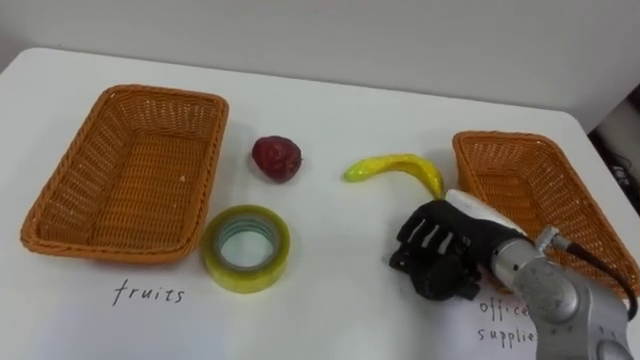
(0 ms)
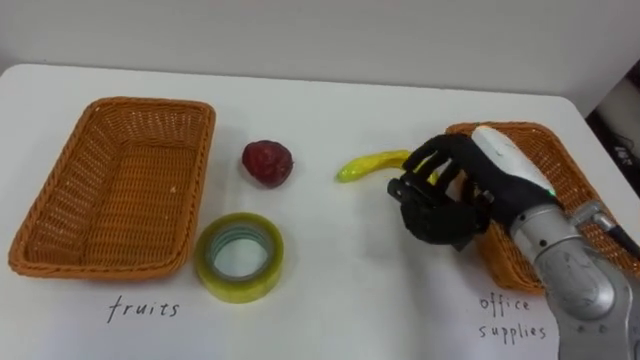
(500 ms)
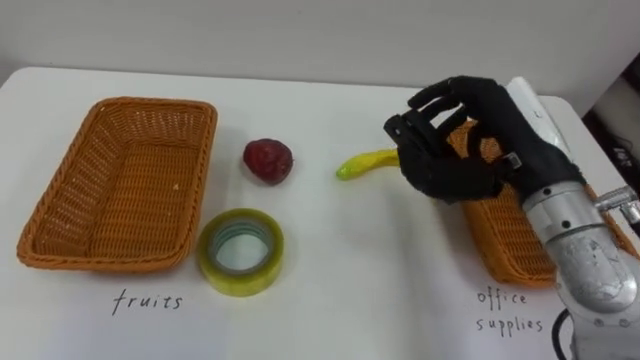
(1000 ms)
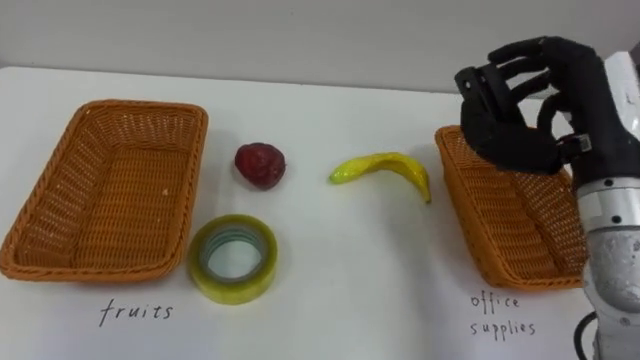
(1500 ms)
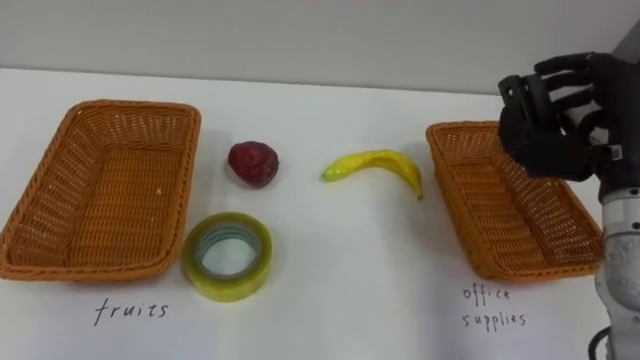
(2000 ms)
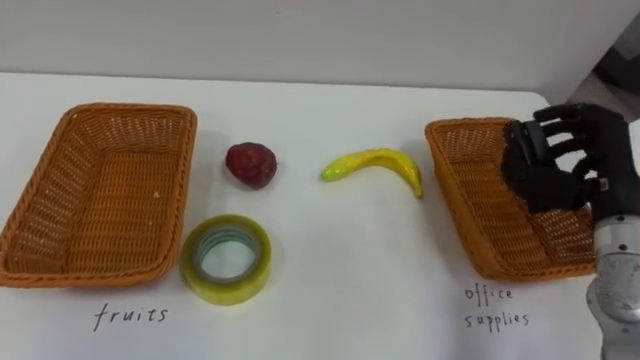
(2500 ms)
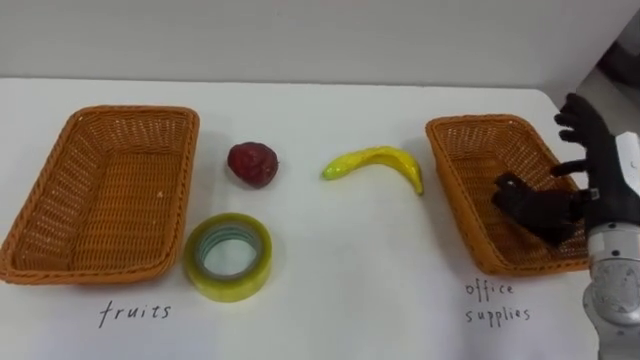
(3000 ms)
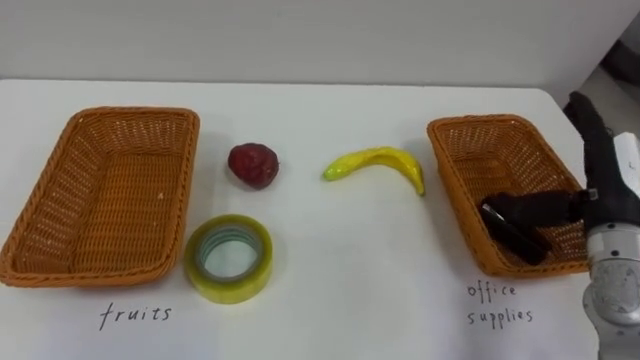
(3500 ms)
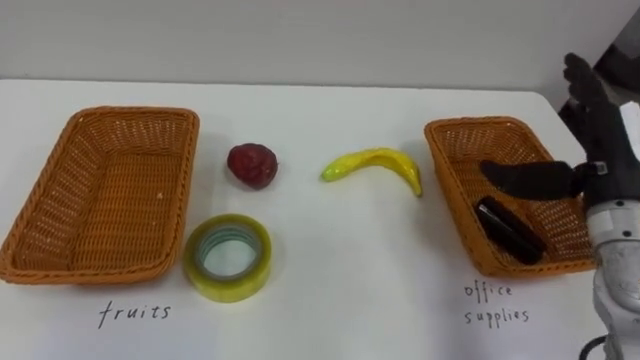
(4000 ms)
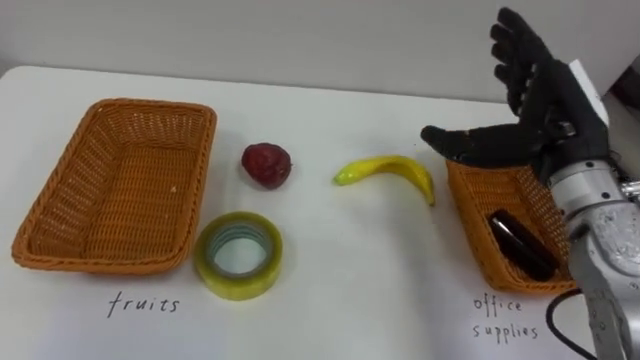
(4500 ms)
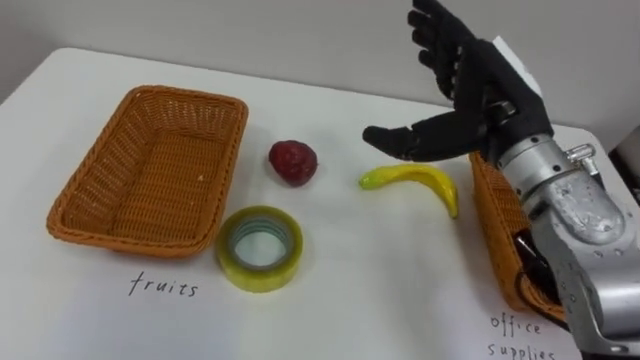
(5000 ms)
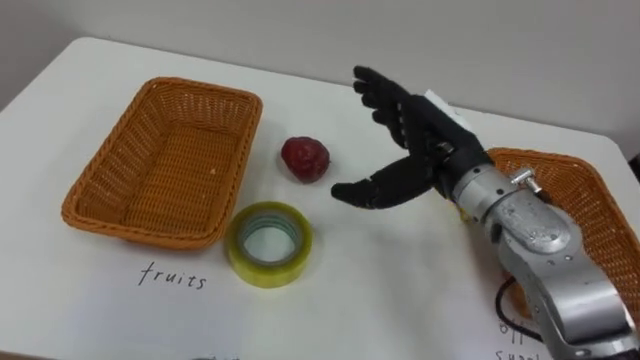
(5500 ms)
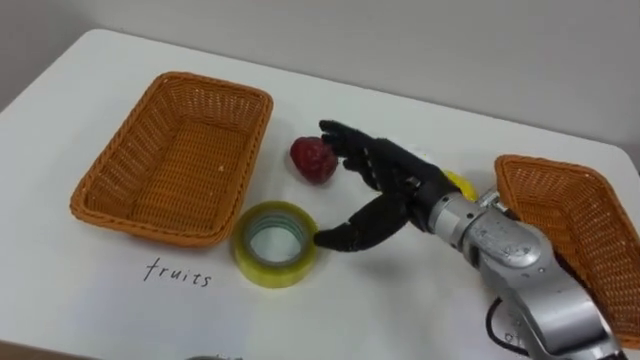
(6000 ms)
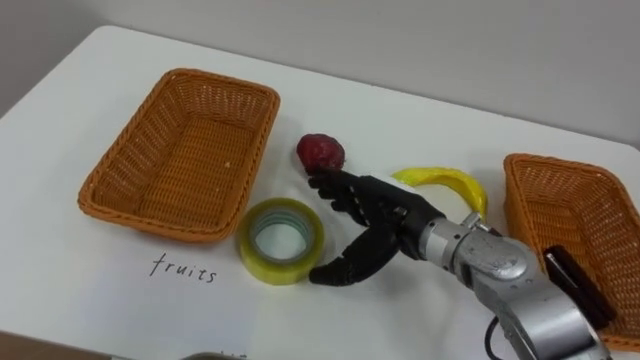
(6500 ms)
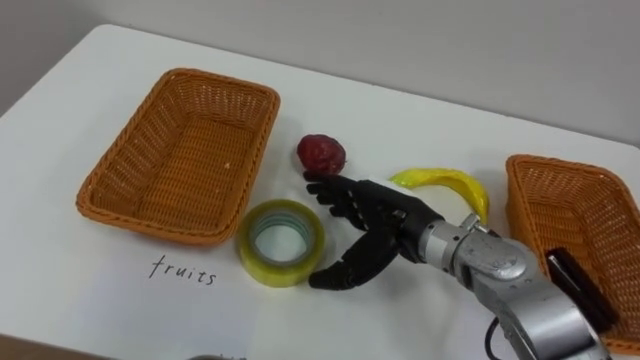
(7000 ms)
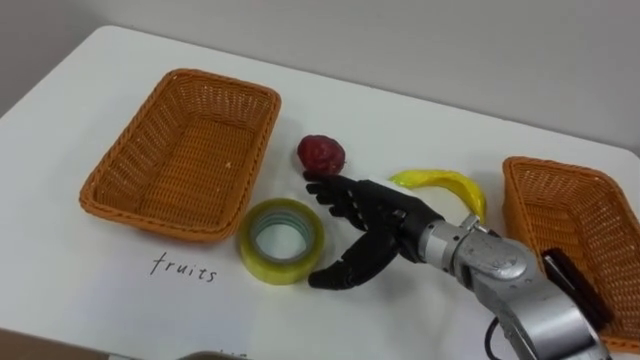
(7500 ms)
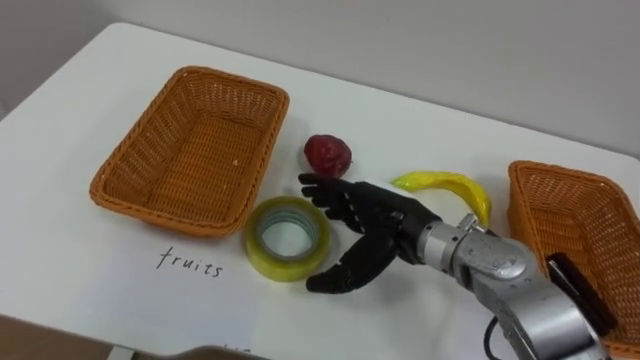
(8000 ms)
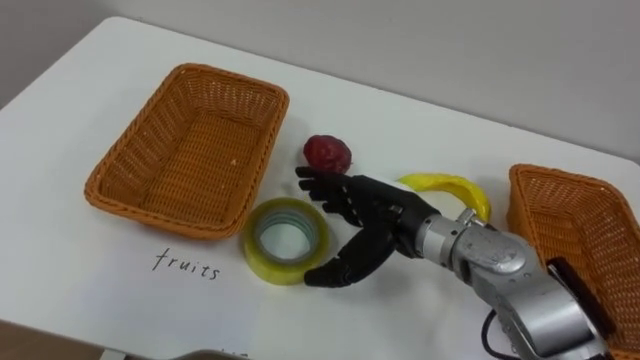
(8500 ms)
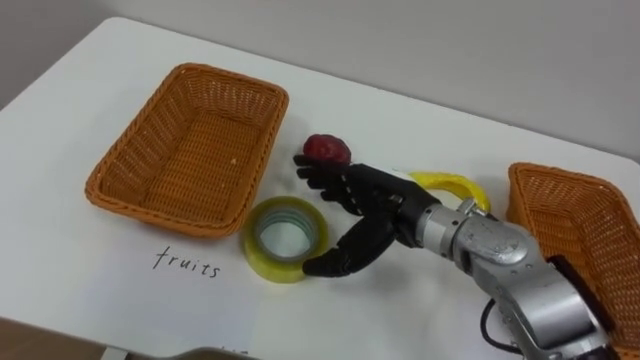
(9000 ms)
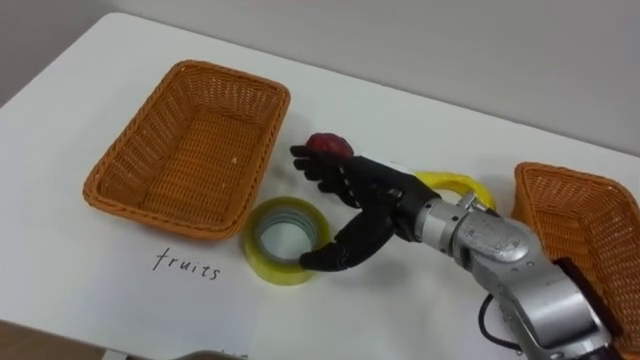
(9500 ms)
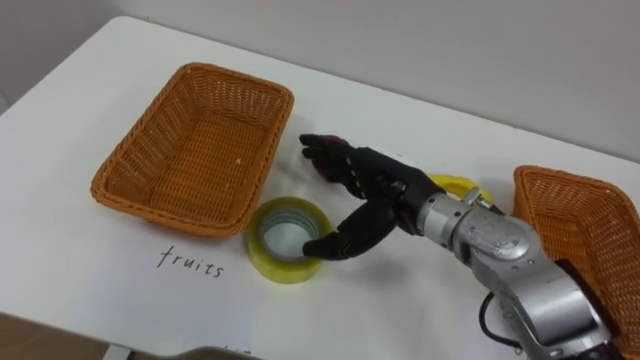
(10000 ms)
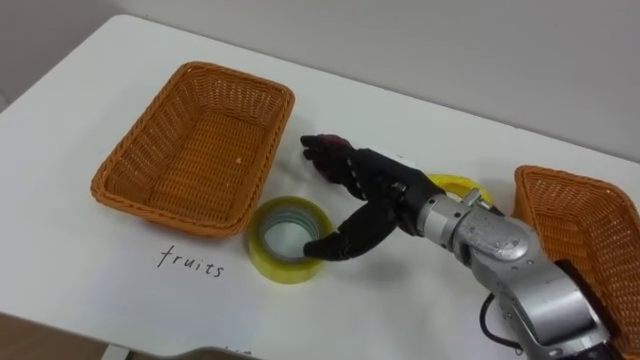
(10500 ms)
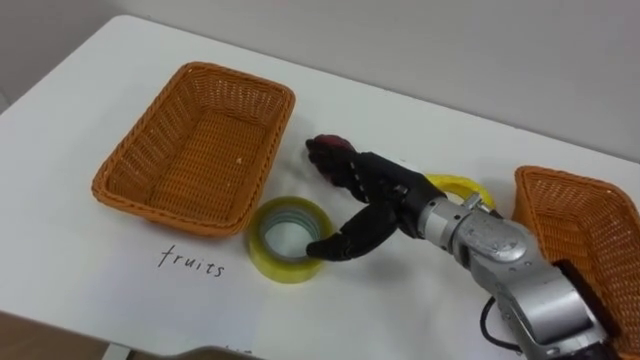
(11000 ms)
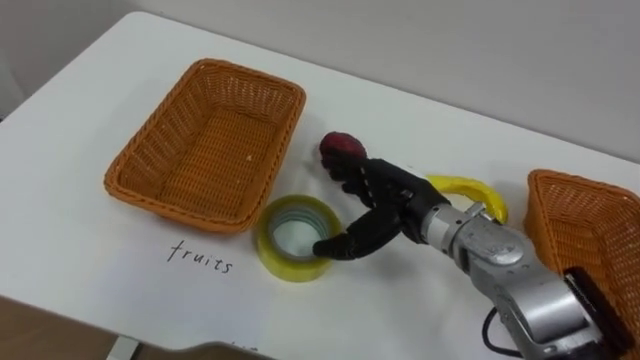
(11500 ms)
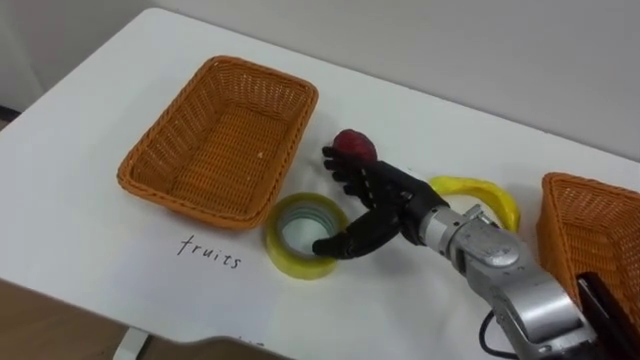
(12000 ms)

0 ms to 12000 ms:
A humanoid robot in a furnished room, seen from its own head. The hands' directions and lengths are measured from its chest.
Task of the whole recording: Separate the items on the table and place them into the two baskets.
0 ms to 2000 ms: The right hand goes some 15 cm upward and to the right.
2000 ms to 4000 ms: The right hand opens.
4000 ms to 6000 ms: The right hand goes about 20 cm to the left.
6000 ms to 8000 ms: The right hand shifts by roughly 5 cm.

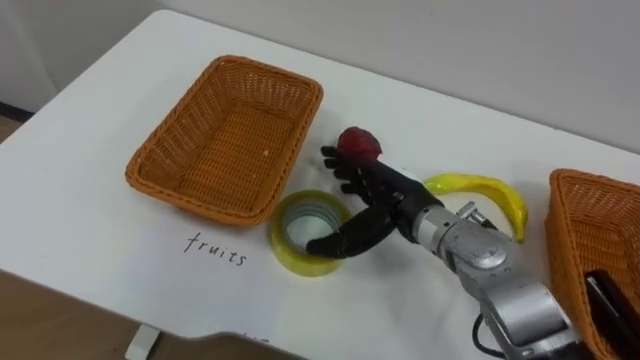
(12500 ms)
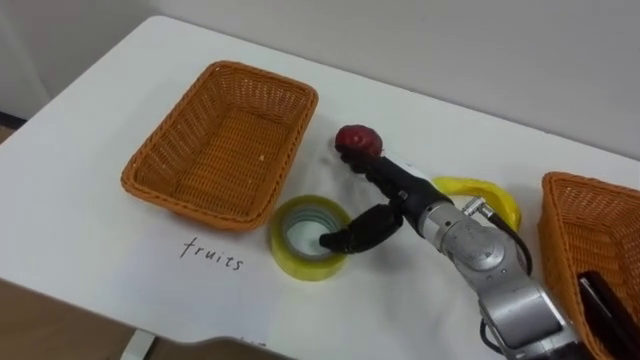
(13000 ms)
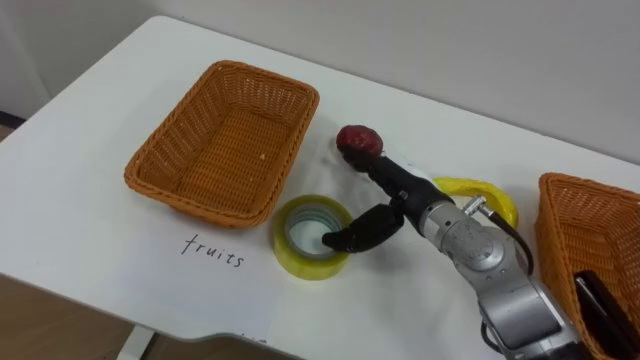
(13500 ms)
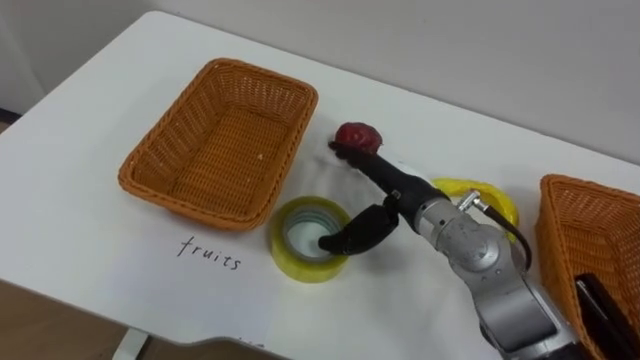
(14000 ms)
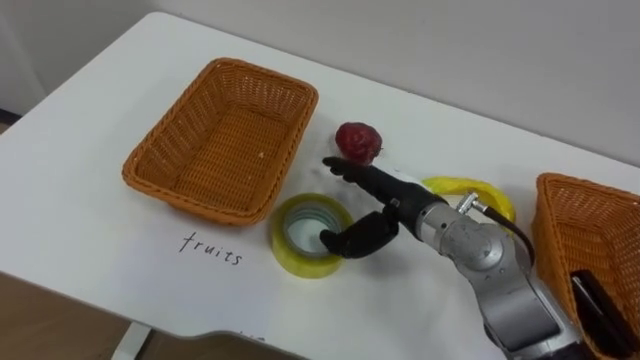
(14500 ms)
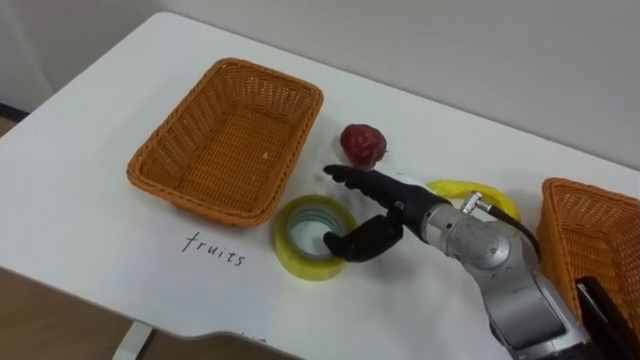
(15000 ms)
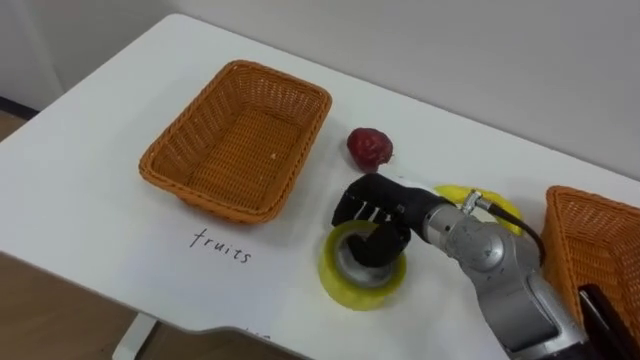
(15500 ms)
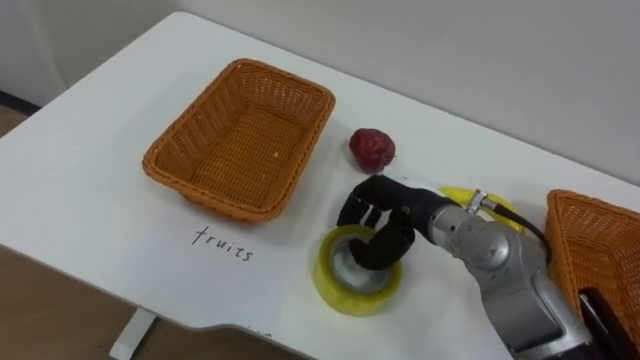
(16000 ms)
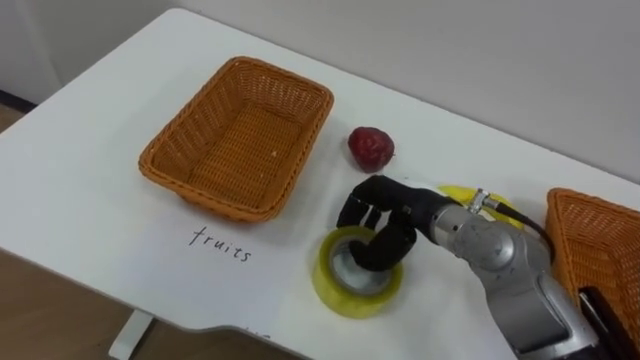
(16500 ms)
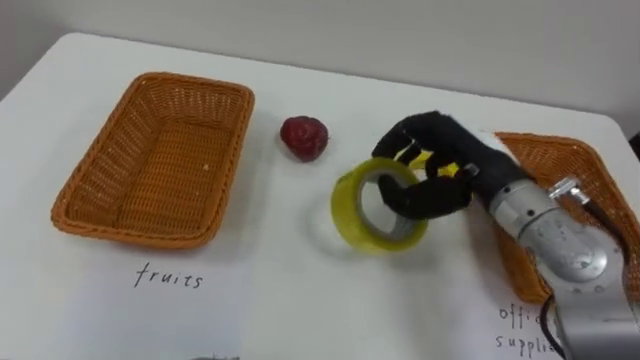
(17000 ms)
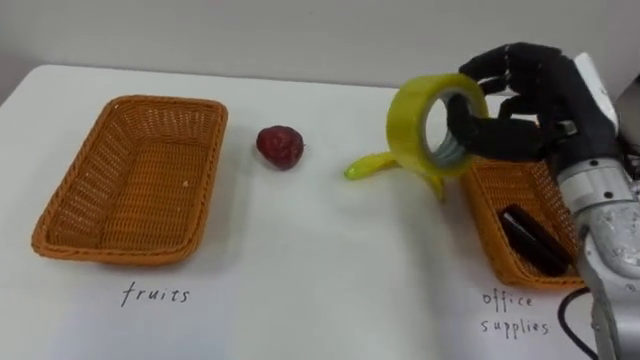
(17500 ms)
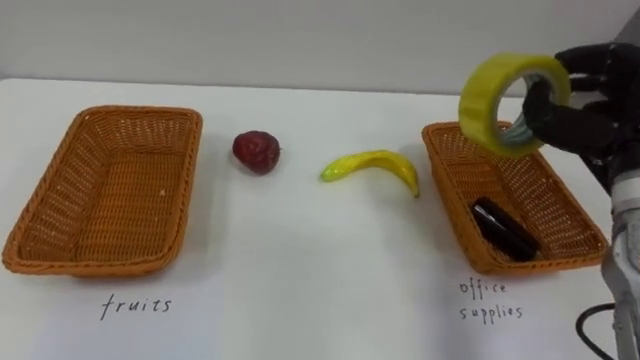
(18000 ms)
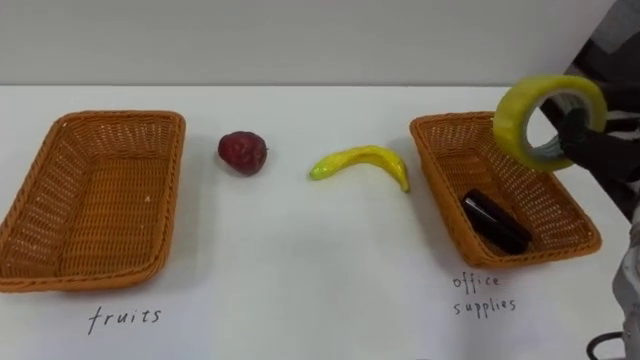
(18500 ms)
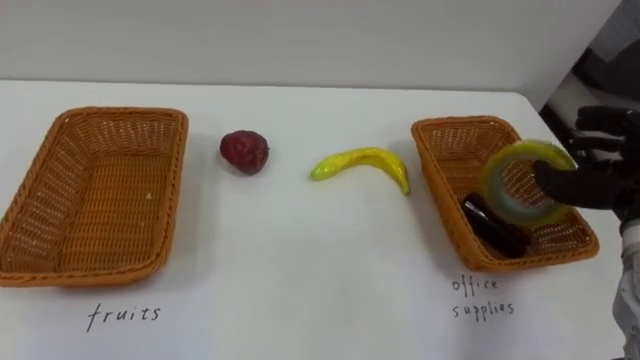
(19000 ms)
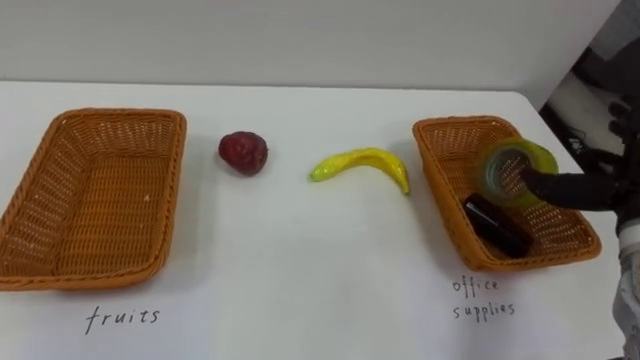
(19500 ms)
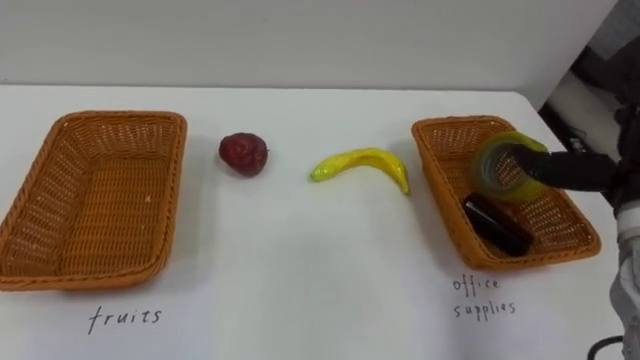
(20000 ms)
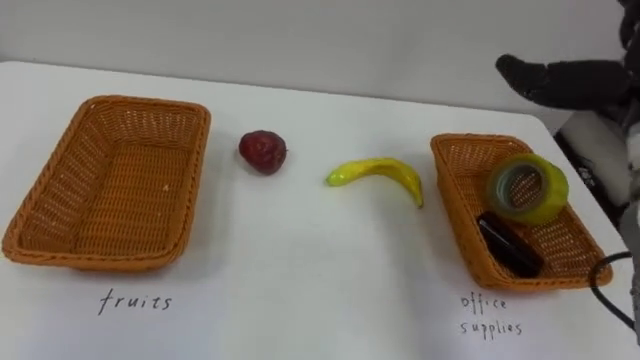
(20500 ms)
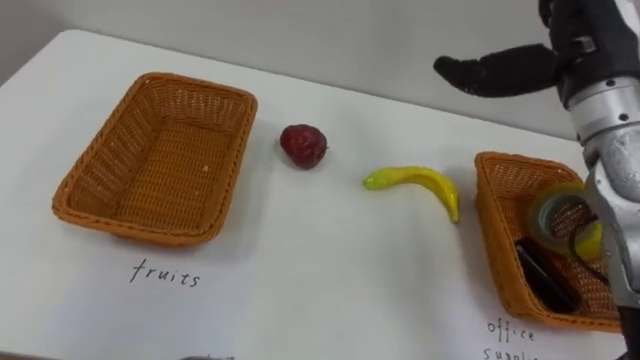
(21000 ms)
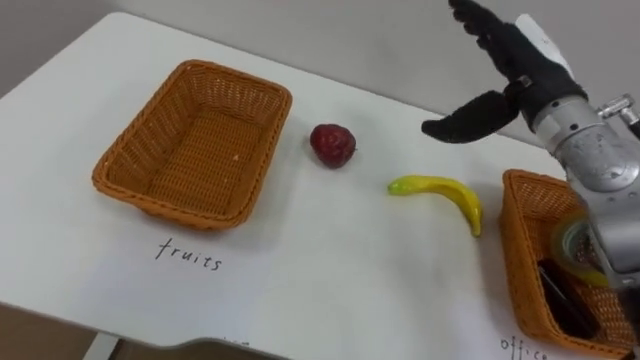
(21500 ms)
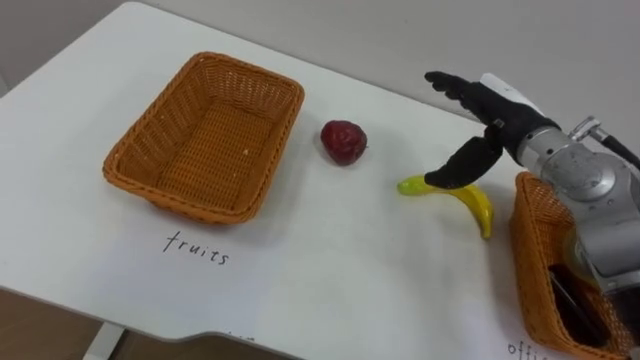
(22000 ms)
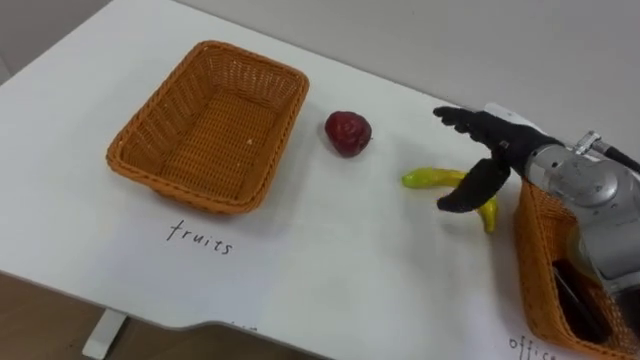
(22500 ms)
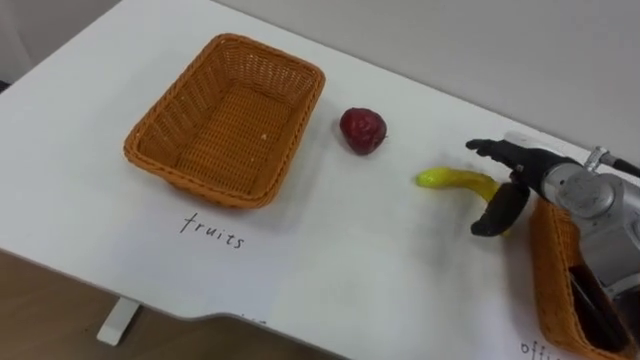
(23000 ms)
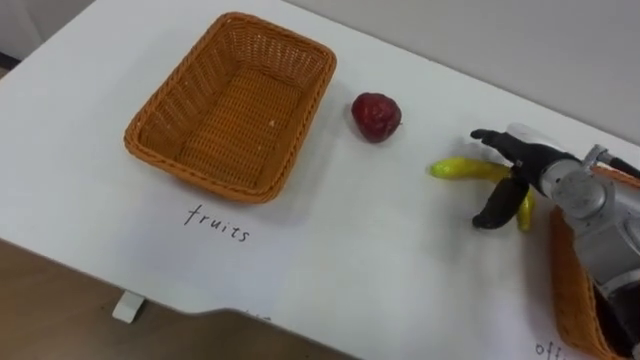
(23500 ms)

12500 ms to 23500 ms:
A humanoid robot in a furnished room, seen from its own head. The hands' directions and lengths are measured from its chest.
Task of the whole recording: Separate the items on the table and place them into the two baskets.
14500 ms to 16000 ms: The right hand closes.
16000 ms to 18000 ms: The right hand travels to the right and upward by roughly 25 cm.
21500 ms to 23500 ms: The right hand travels downward by some 15 cm.
